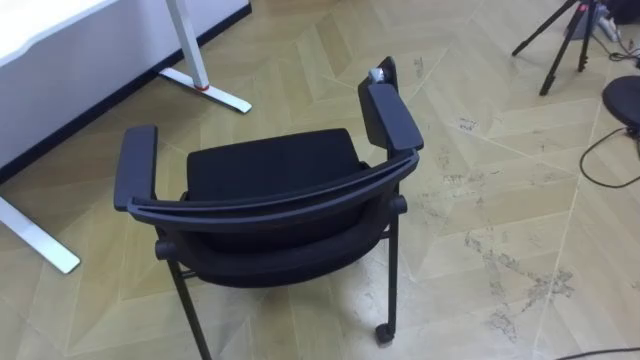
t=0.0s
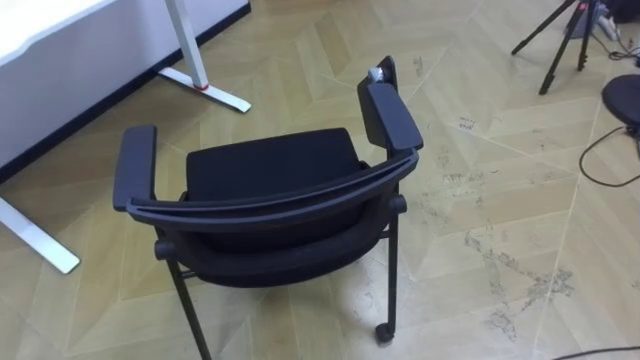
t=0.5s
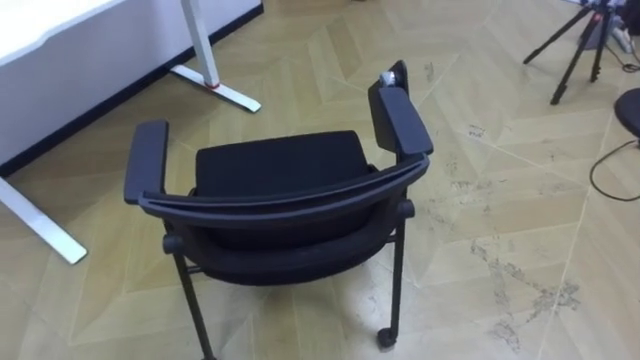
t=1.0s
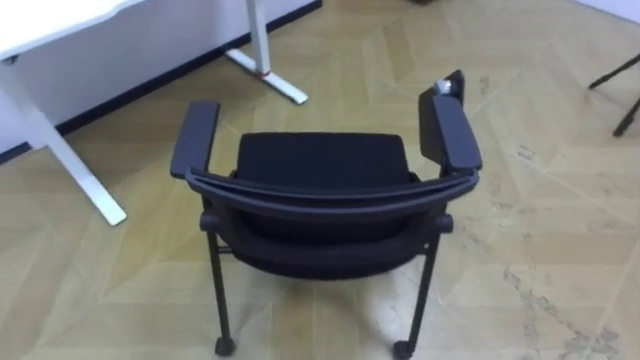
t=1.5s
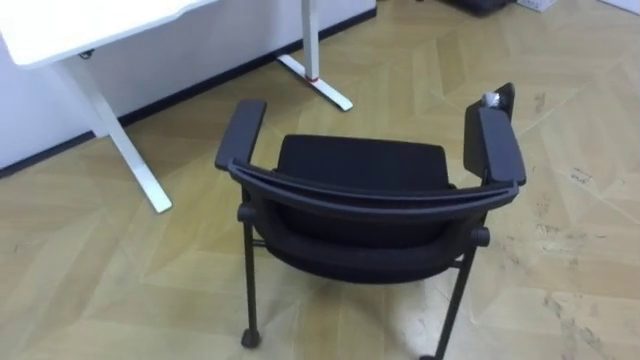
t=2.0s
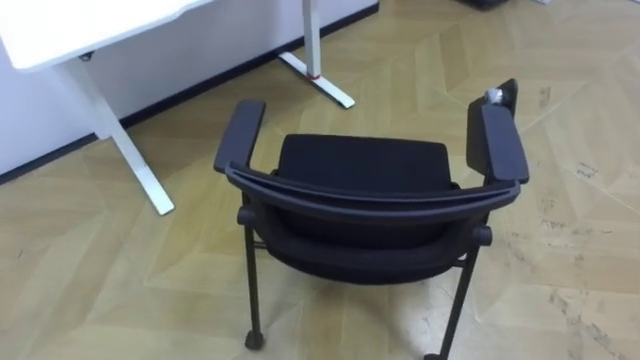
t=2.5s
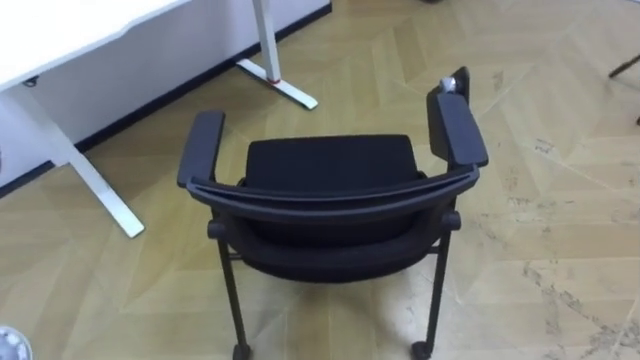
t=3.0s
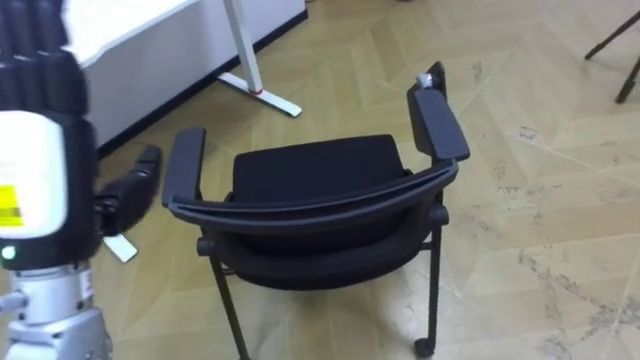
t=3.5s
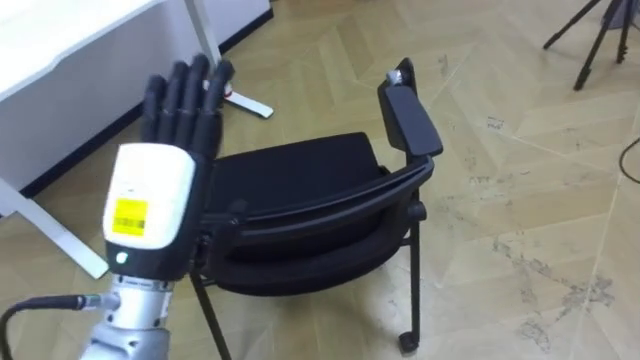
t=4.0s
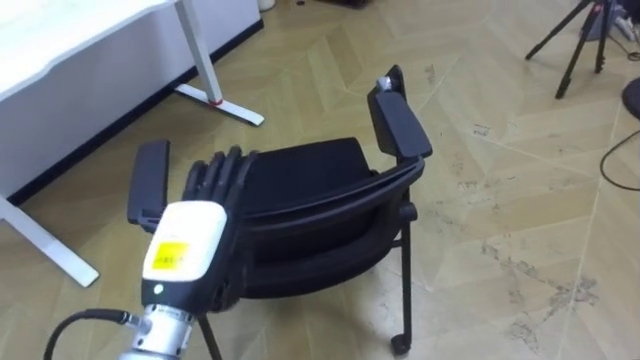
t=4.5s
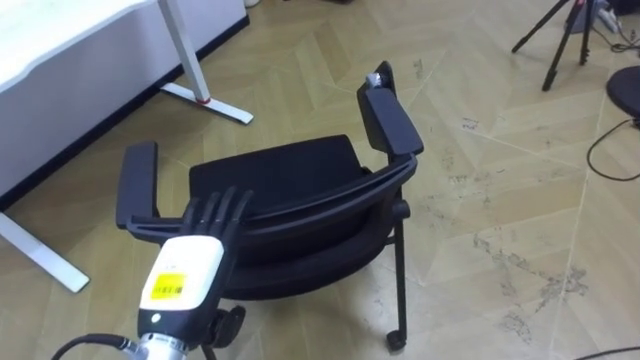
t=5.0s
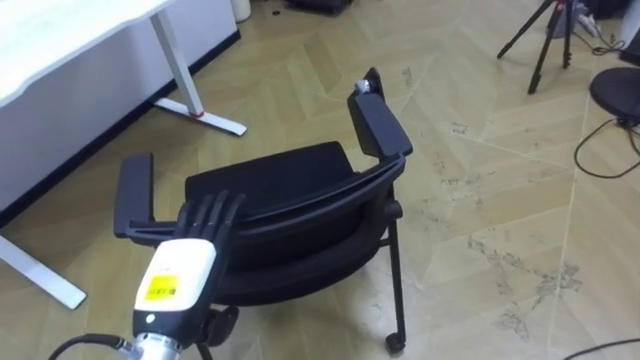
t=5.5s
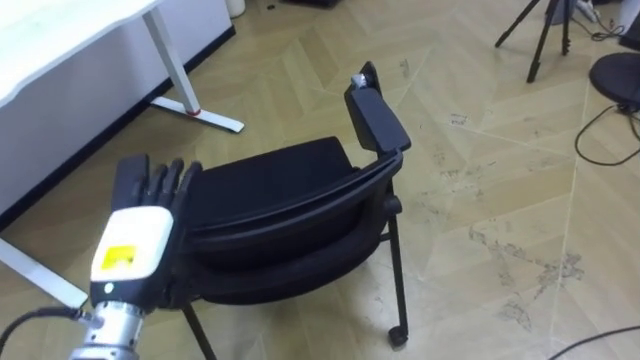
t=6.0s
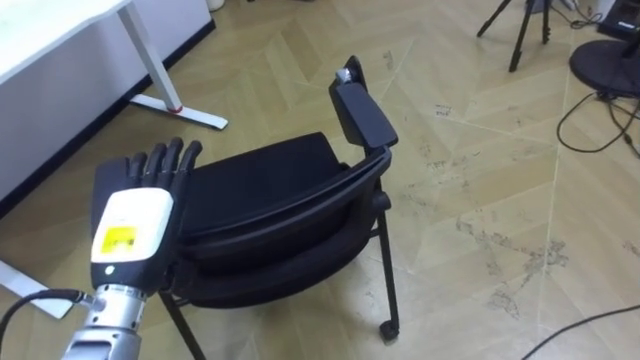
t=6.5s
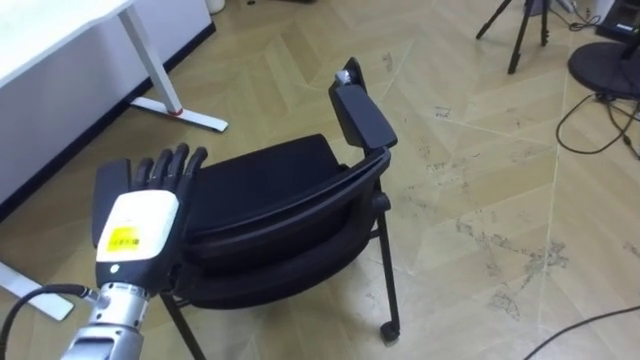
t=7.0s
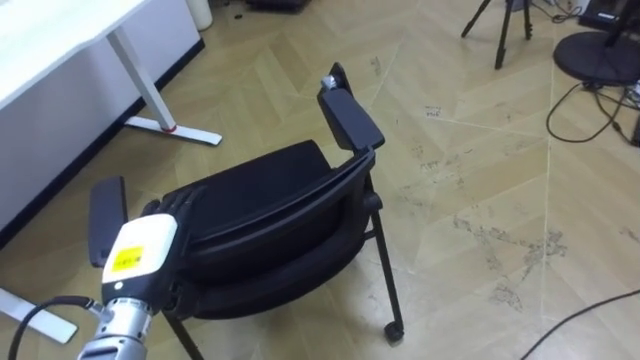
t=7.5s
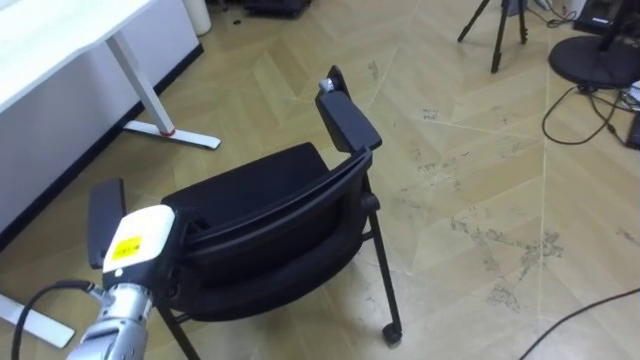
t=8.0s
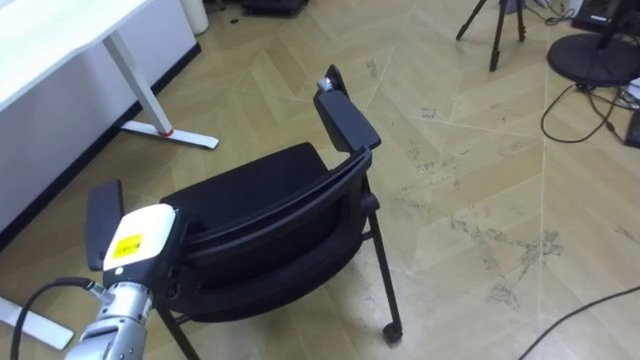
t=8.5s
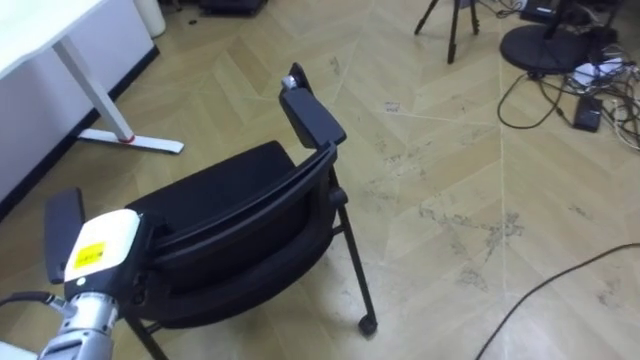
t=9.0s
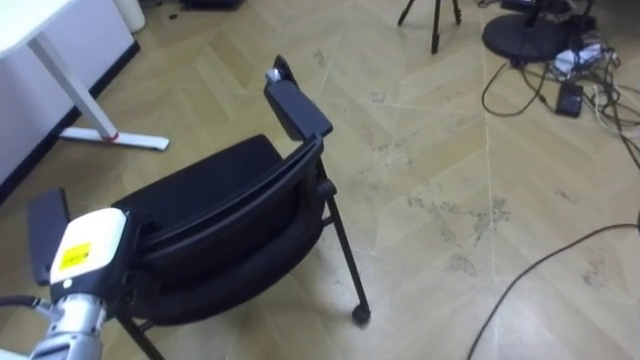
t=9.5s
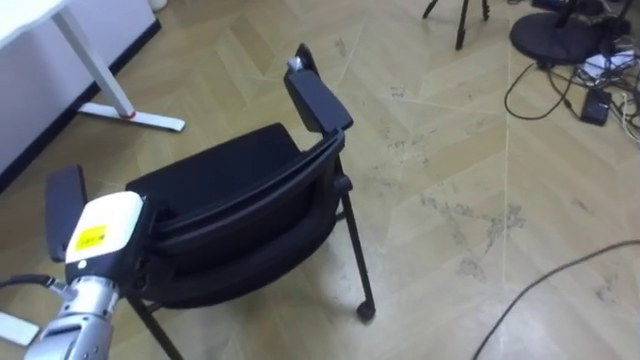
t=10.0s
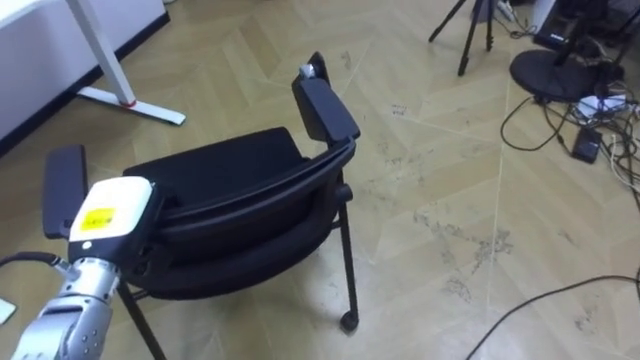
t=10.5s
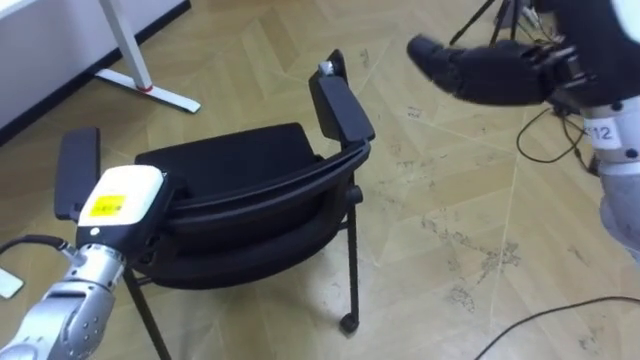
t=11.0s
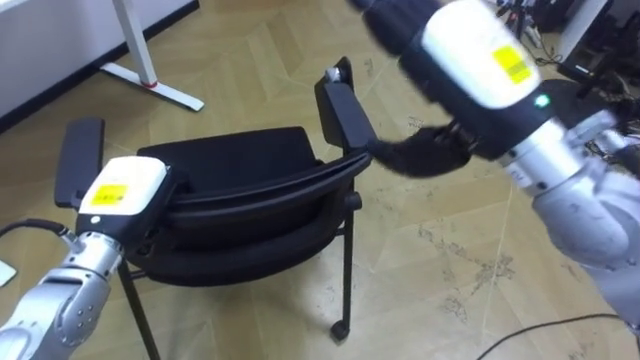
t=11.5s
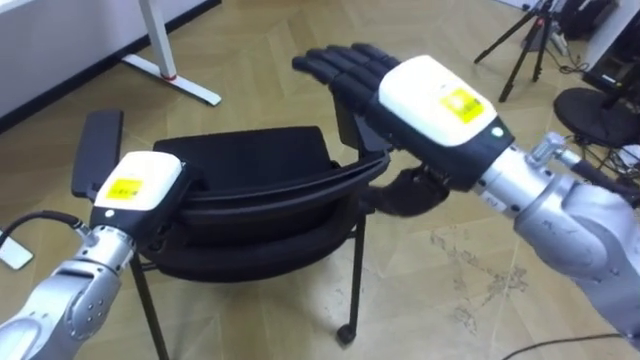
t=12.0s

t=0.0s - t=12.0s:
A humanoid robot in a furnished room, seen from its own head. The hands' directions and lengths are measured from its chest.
Task of the whole recording: Push the chair under the table.
t=4.0s - t=6.0s: The left hand is displaced downward and to the left by roughly 15 cm.
t=6.0s - t=8.0s: The left hand closes its fingers.
t=10.0s - t=12.0s: The left hand moves some 5 cm.

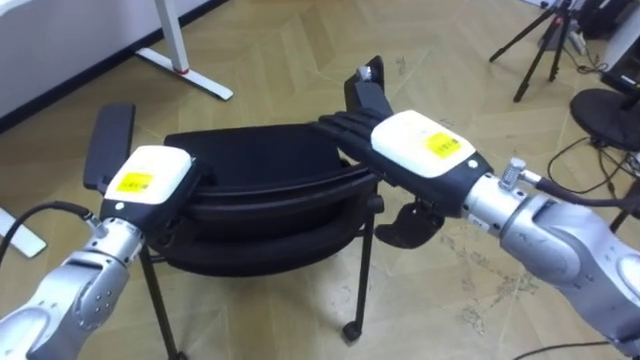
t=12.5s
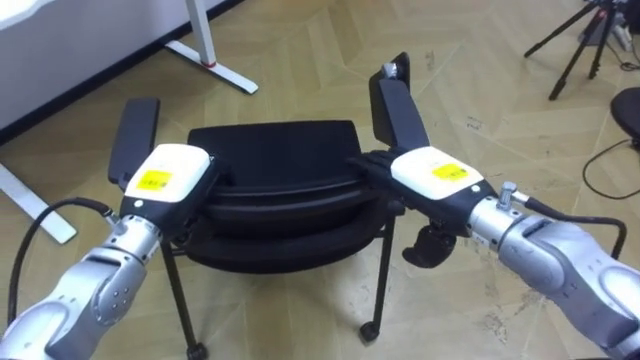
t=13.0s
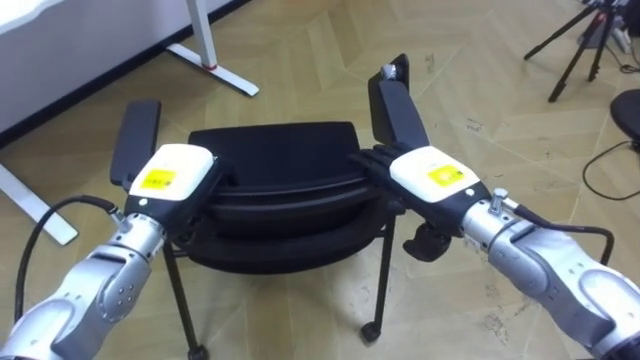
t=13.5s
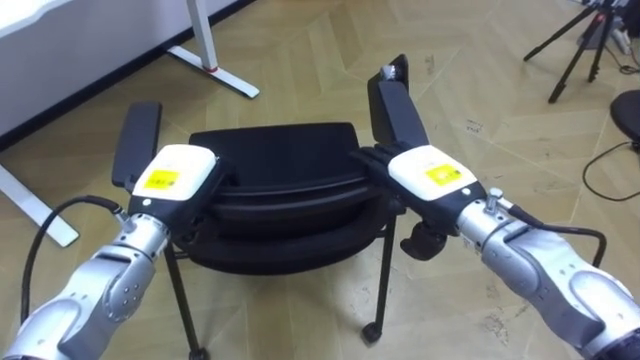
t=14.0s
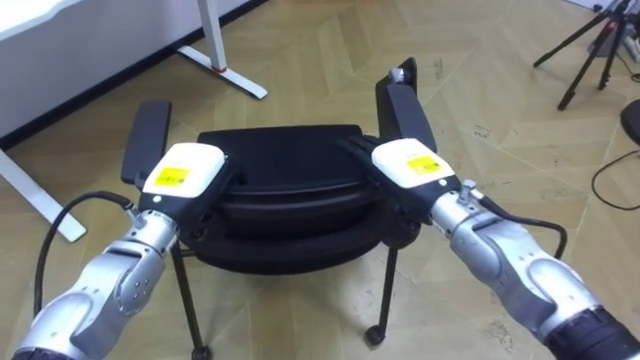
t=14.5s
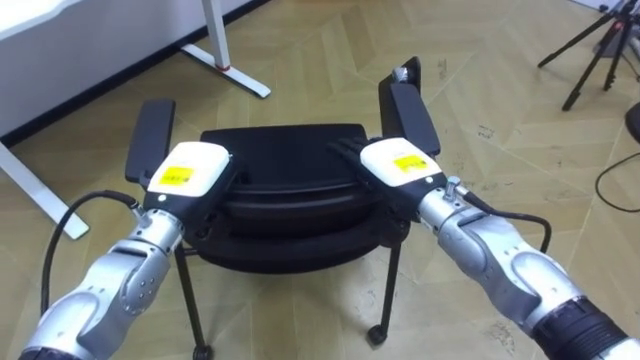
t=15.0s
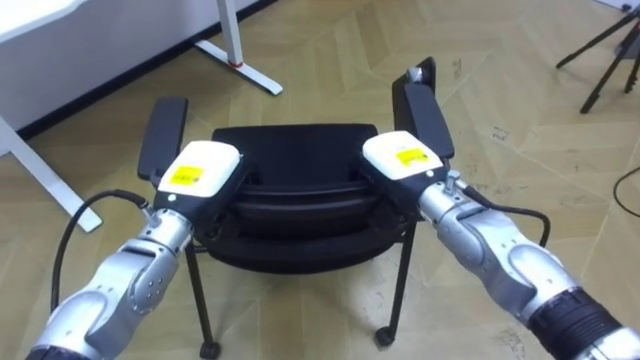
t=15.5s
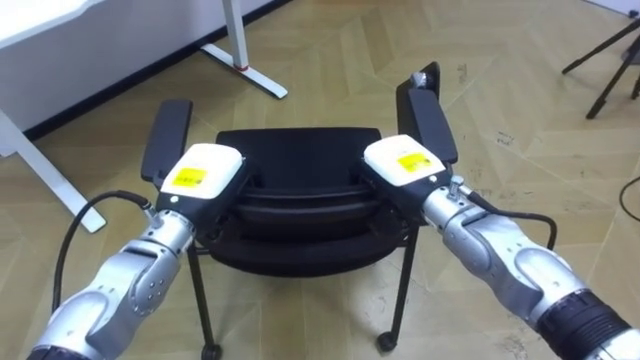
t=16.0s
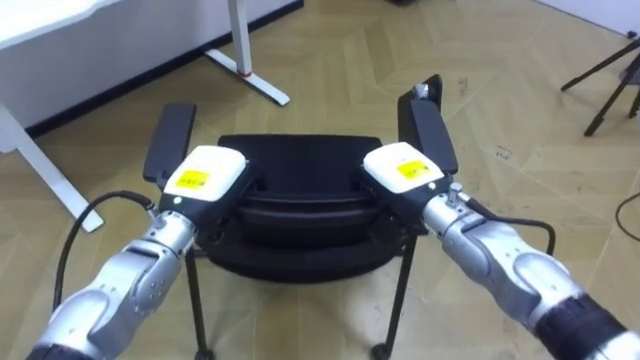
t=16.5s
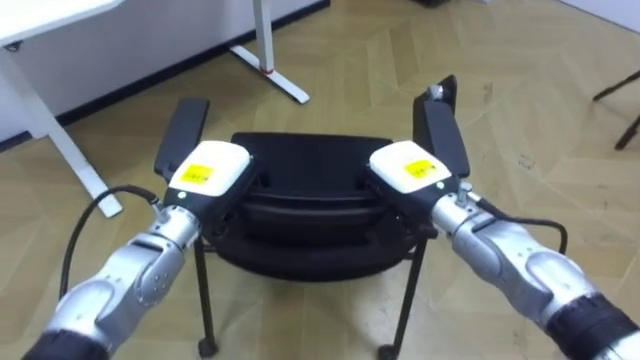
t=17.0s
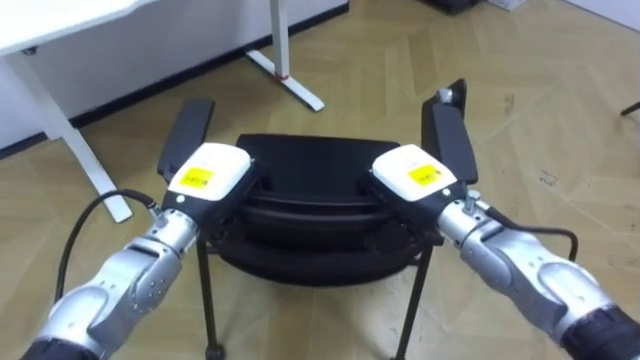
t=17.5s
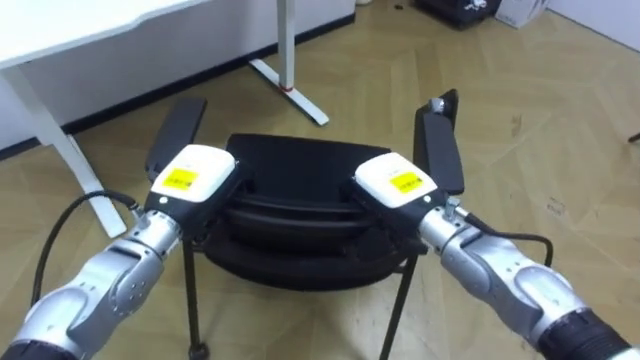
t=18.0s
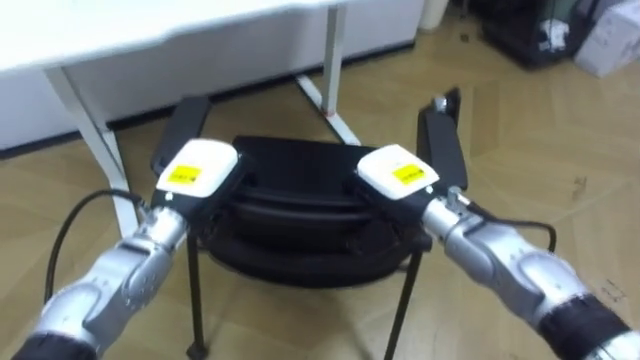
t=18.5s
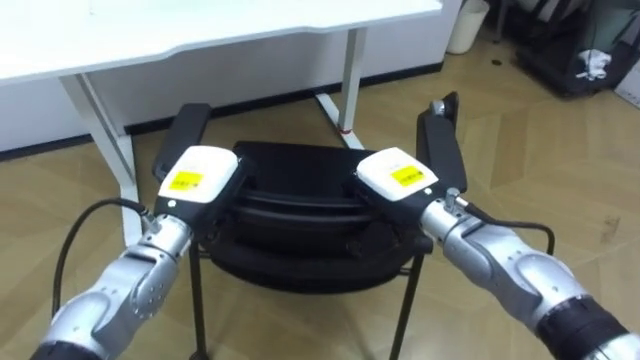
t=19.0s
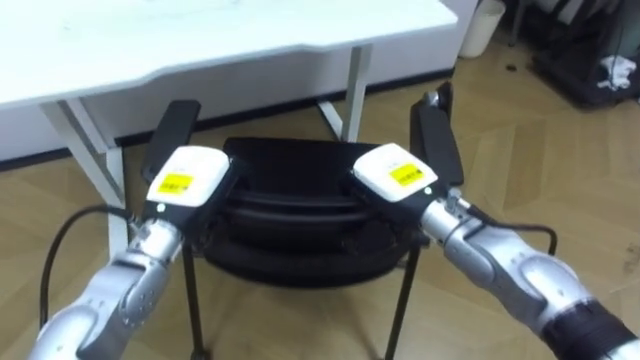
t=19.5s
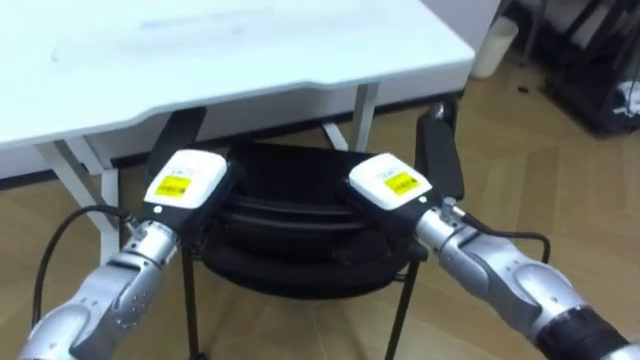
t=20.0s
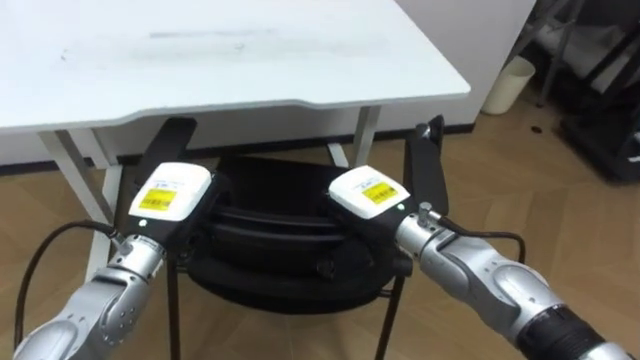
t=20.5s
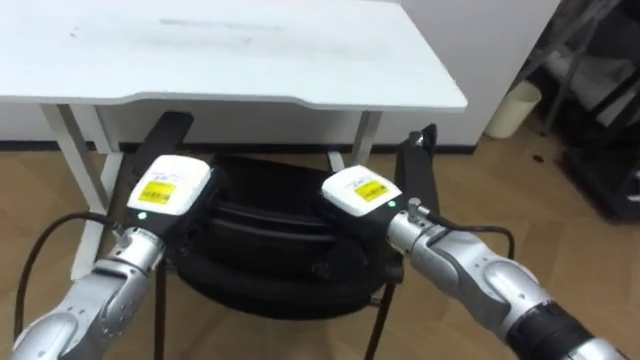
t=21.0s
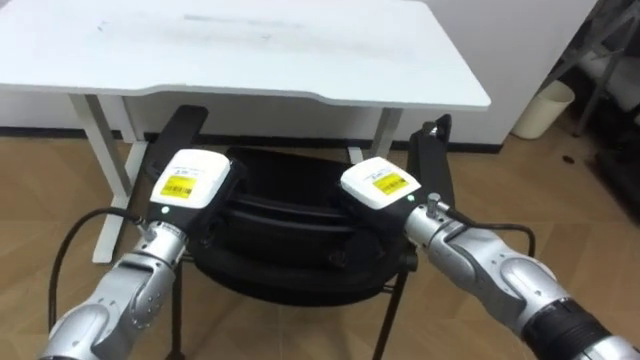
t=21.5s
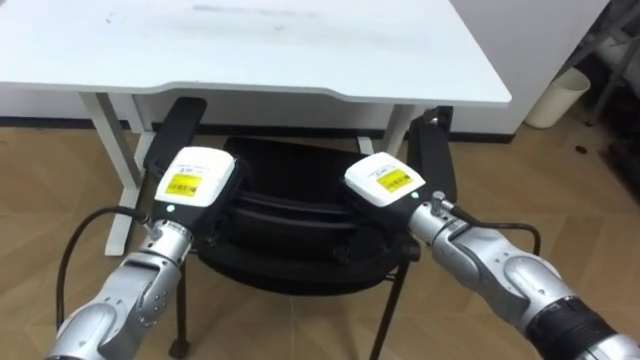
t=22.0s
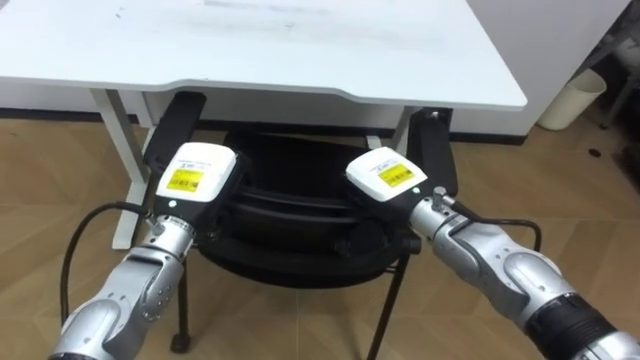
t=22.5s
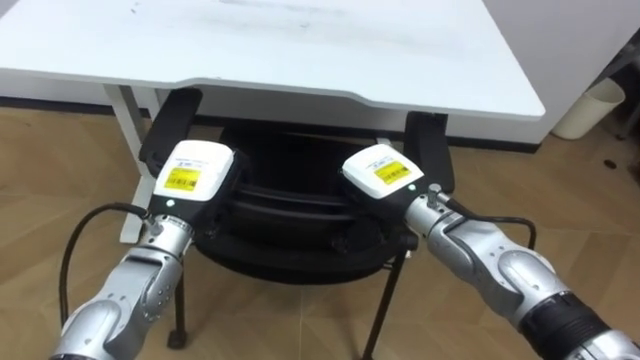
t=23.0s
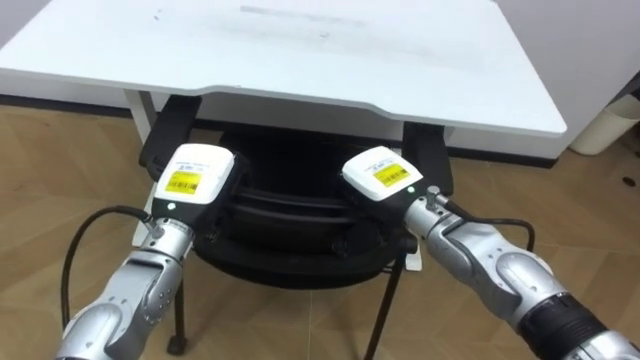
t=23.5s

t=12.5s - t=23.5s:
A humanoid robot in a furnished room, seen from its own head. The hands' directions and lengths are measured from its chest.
Task of the whole recording: Push the chair under the table.
t=12.5s - t=14.5s: The right hand travels downward by some 10 cm.
t=14.5s - t=16.0s: The right hand closes.
